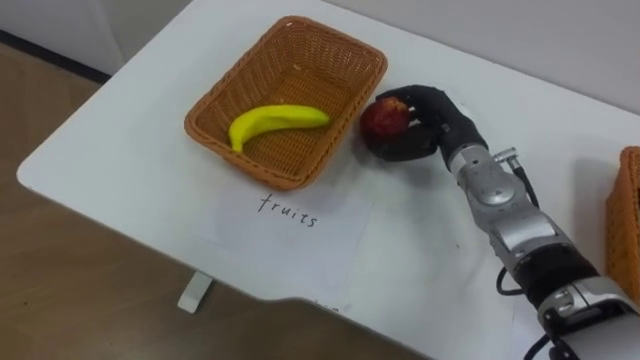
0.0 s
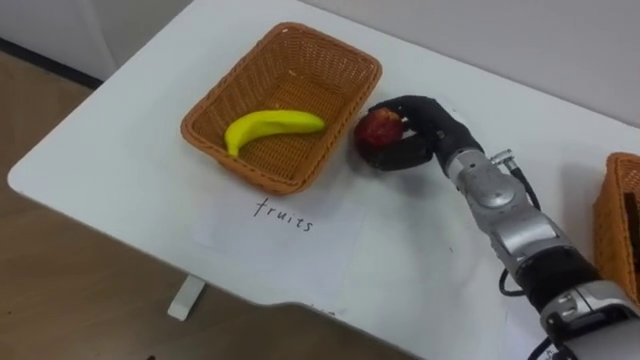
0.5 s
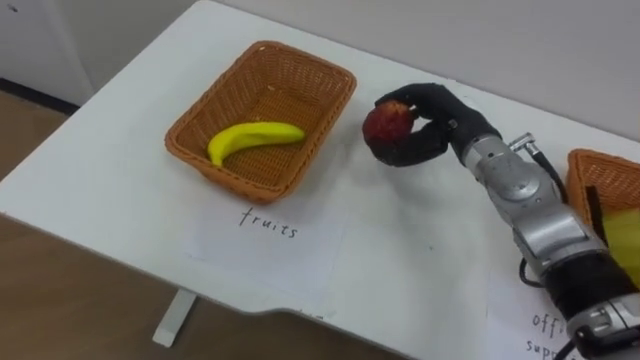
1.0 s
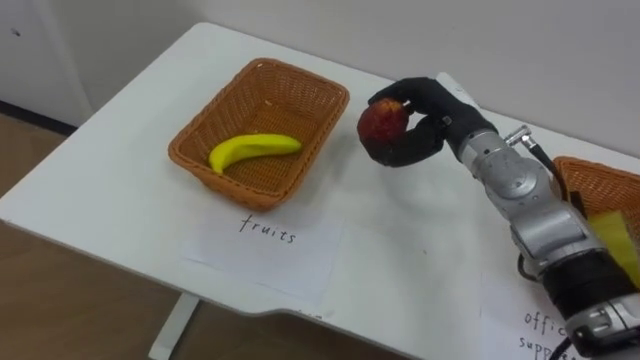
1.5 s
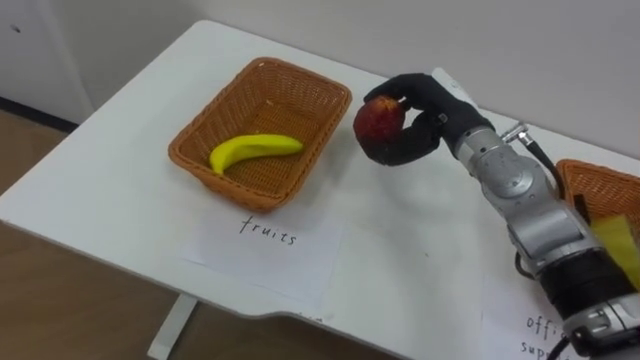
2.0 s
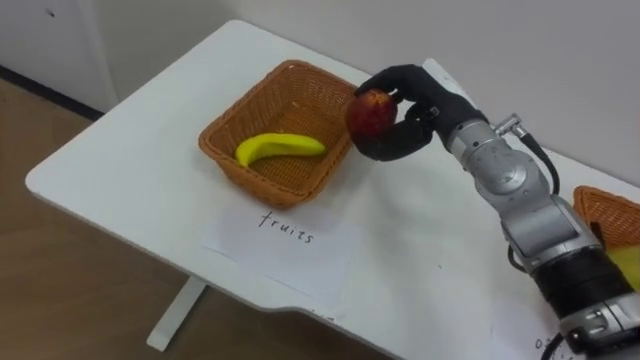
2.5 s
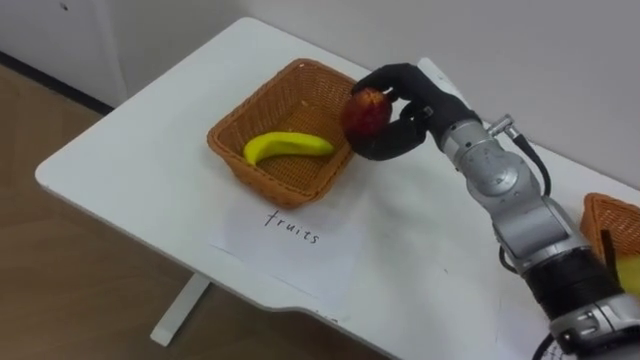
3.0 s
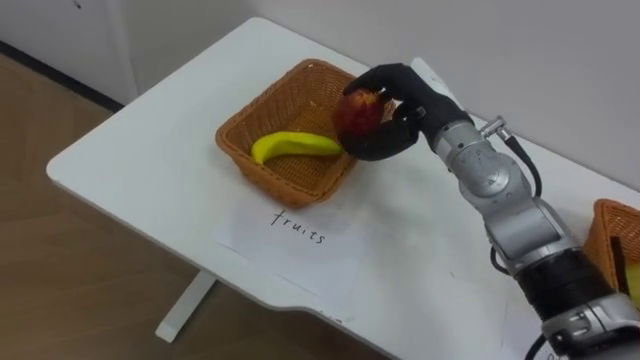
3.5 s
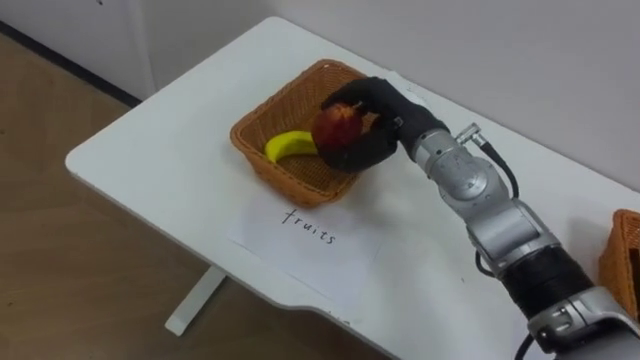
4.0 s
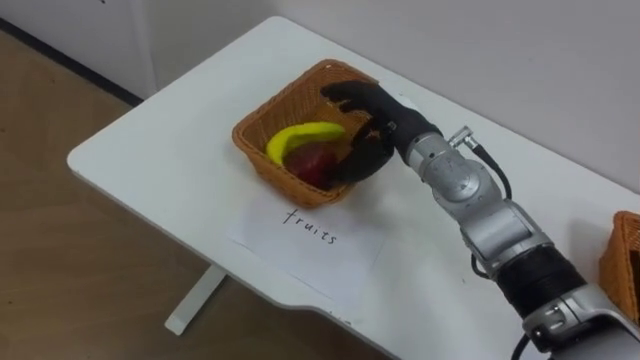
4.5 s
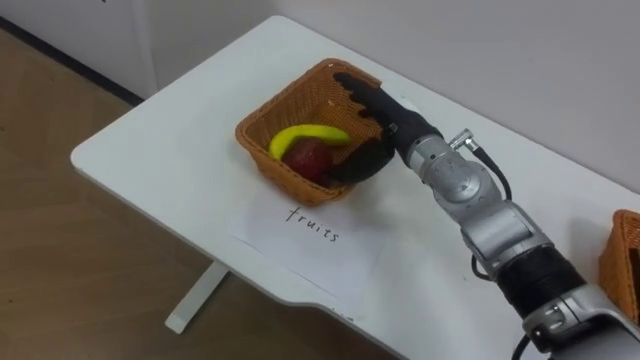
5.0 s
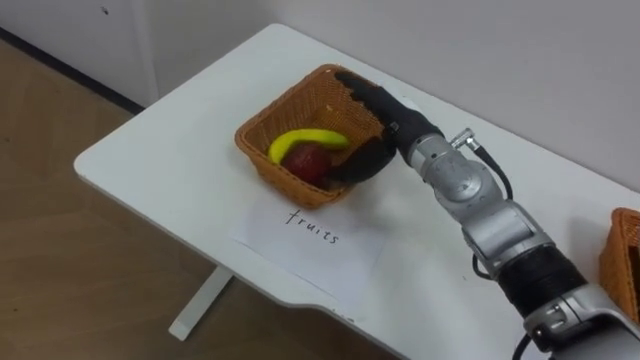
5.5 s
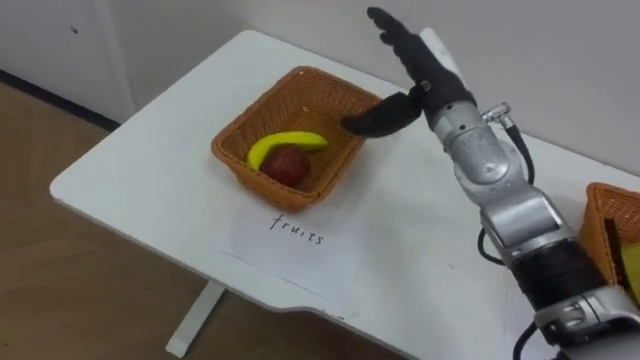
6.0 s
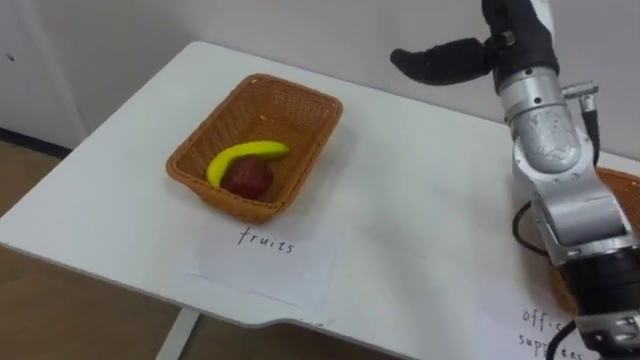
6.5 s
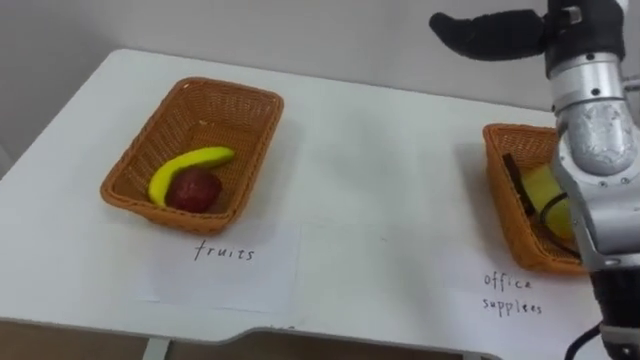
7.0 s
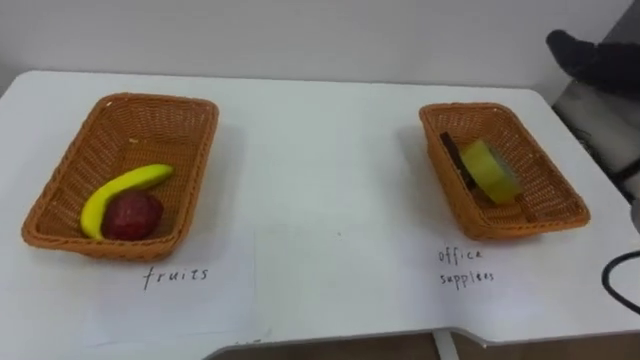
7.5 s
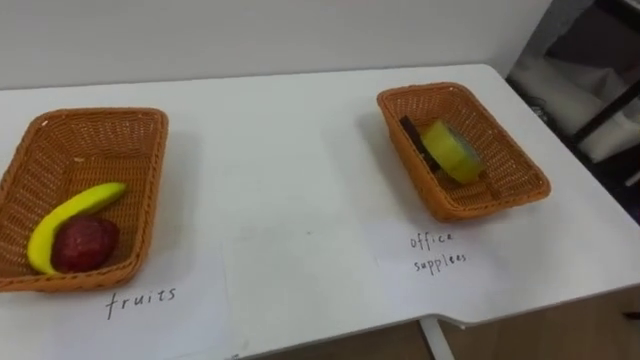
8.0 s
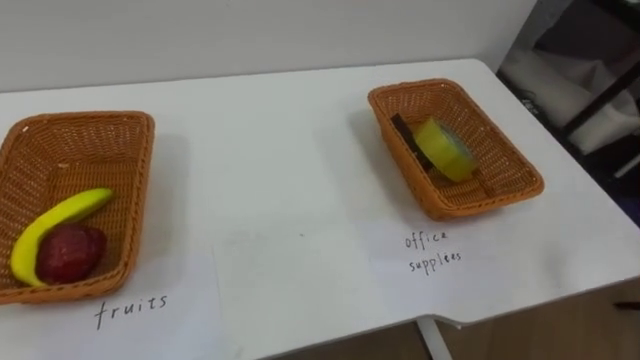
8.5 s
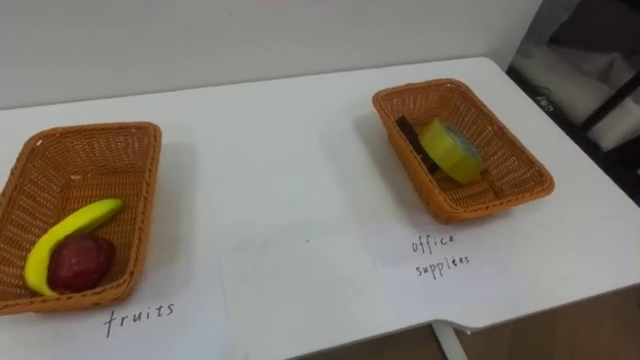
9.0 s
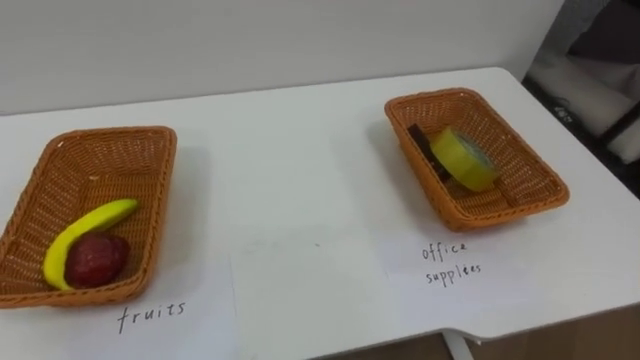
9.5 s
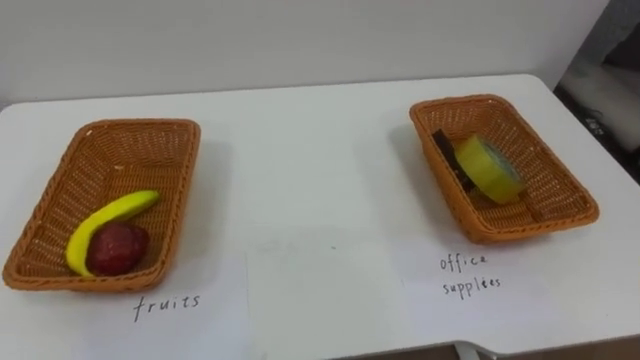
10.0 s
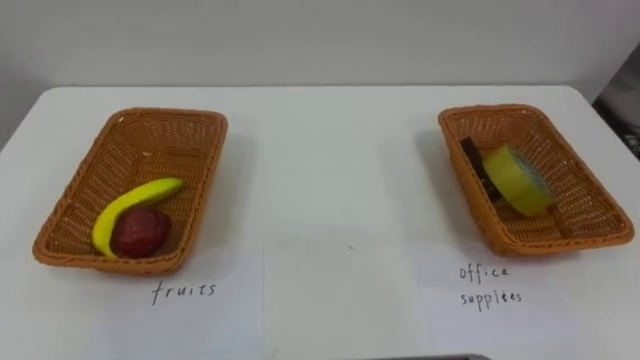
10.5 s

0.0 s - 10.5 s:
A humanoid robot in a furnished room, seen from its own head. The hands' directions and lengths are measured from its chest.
Task of the whole recording: Separate the items on the table and place them into the two baskets.
2.0 s - 4.0 s: The right hand goes some 5 cm to the left.
4.0 s - 6.5 s: The right hand moves upward and to the right, about 15 cm, and opens up.

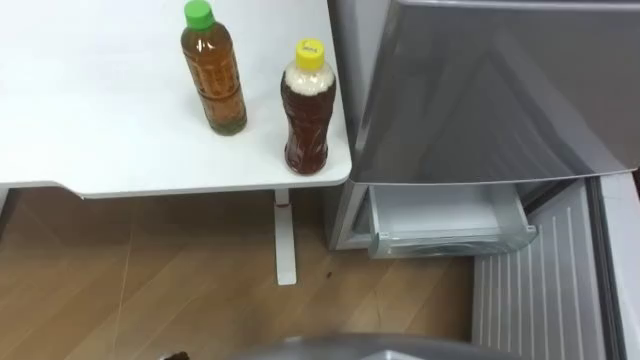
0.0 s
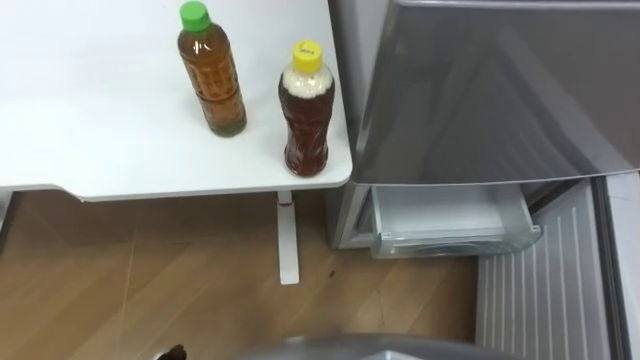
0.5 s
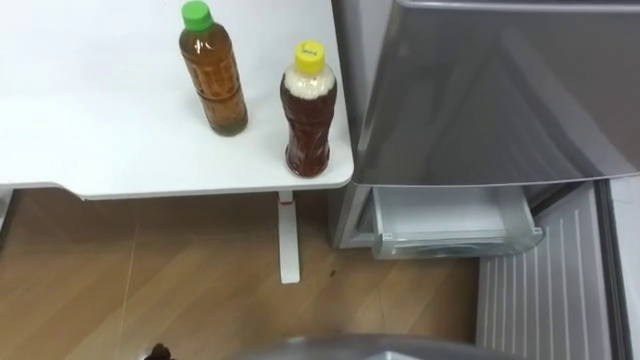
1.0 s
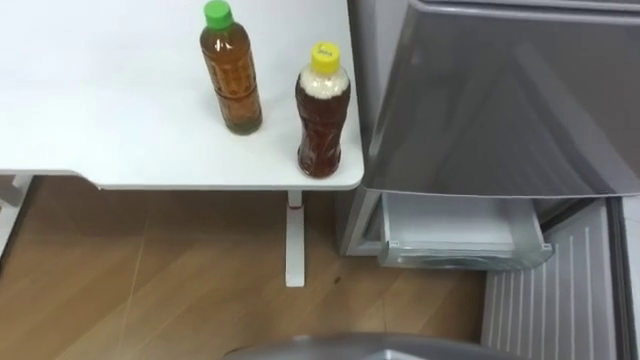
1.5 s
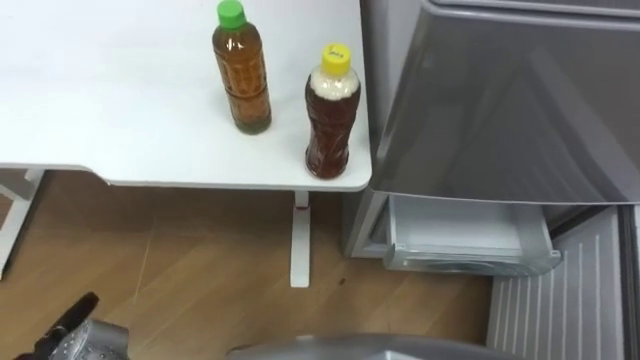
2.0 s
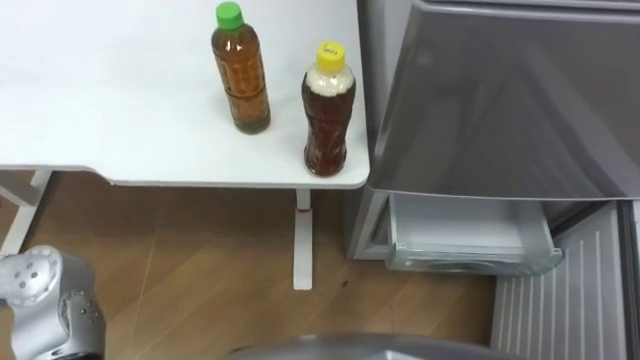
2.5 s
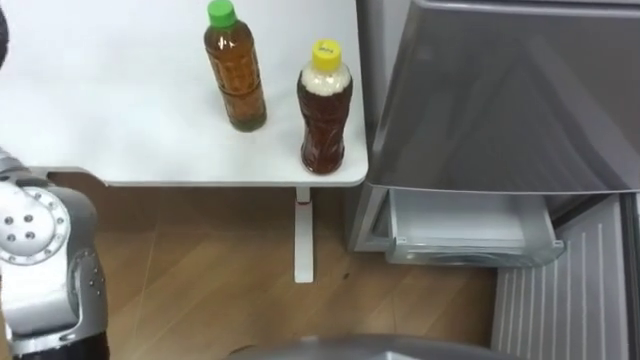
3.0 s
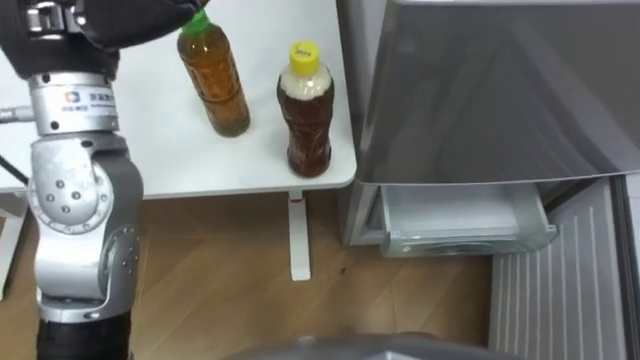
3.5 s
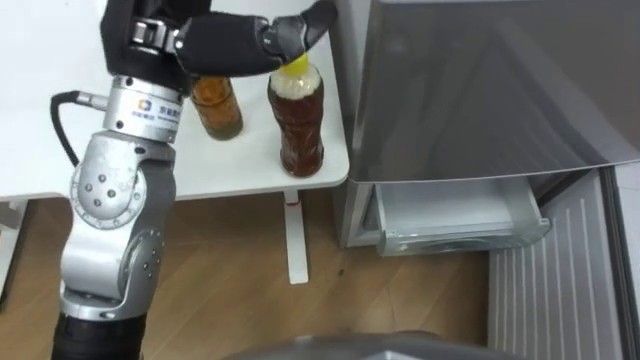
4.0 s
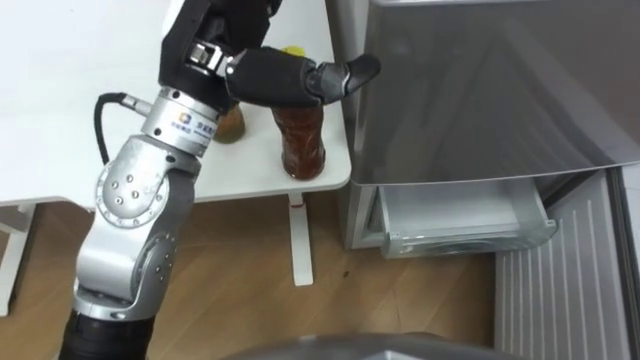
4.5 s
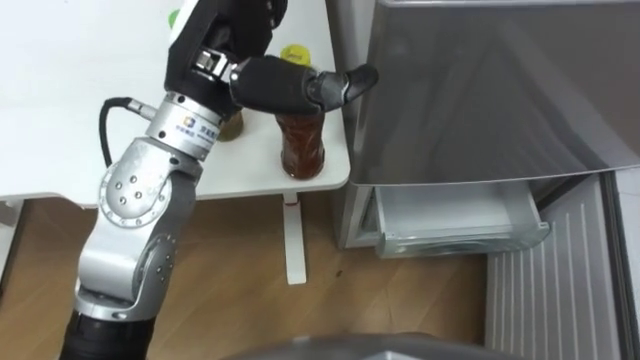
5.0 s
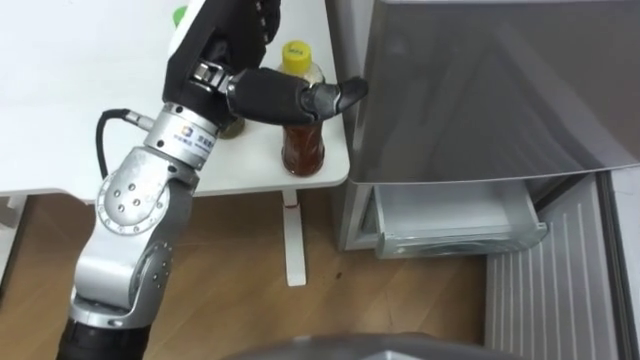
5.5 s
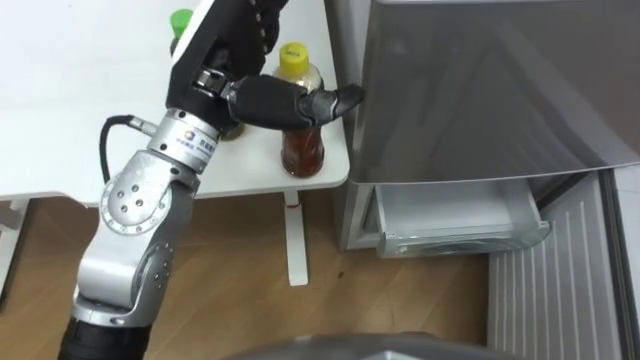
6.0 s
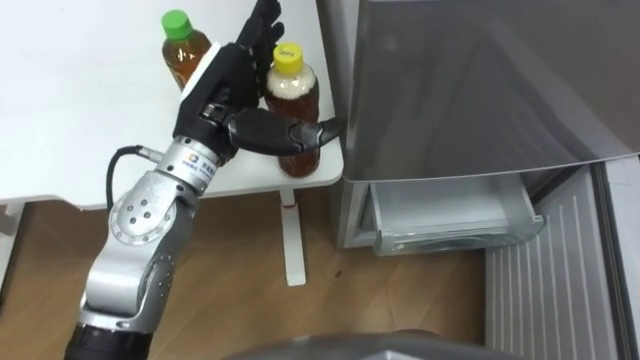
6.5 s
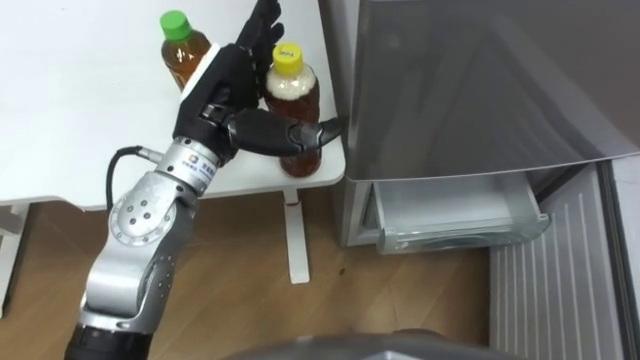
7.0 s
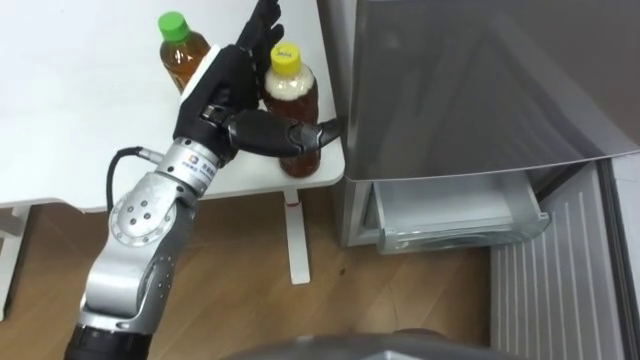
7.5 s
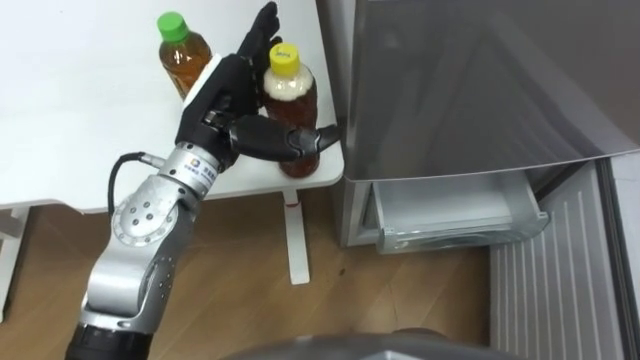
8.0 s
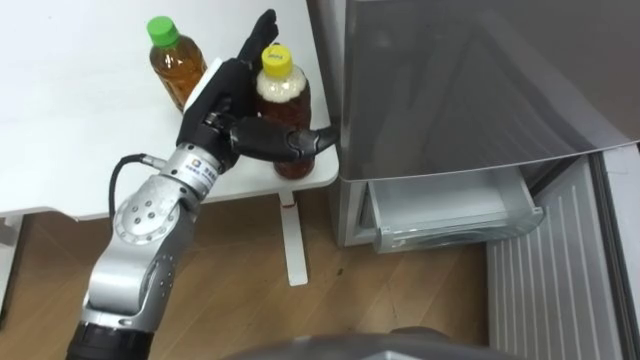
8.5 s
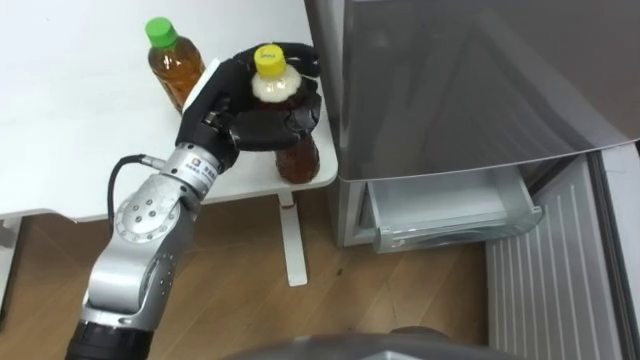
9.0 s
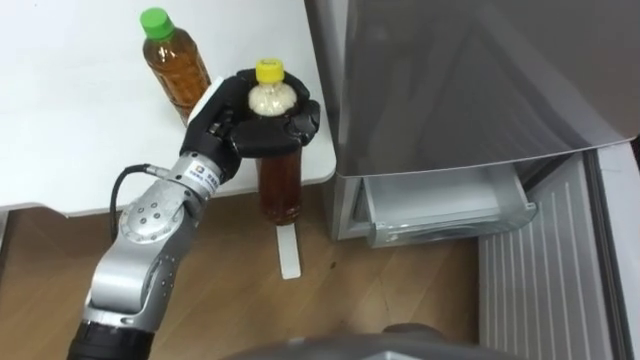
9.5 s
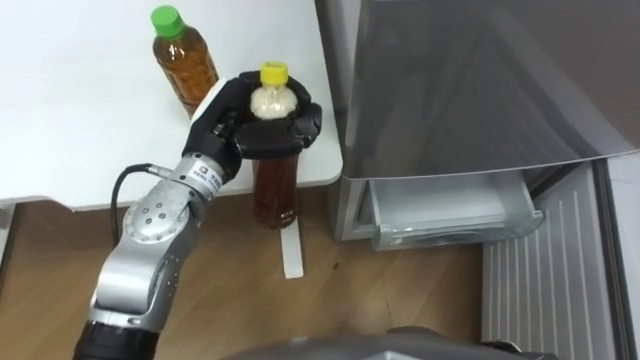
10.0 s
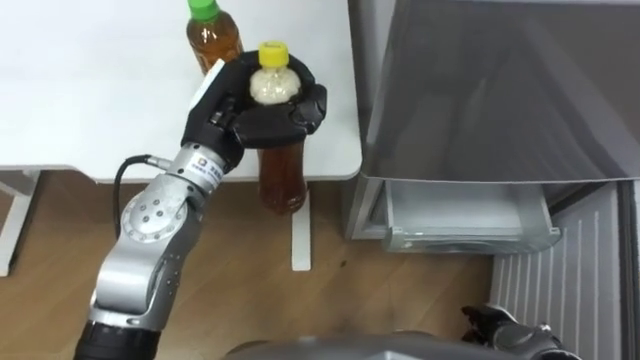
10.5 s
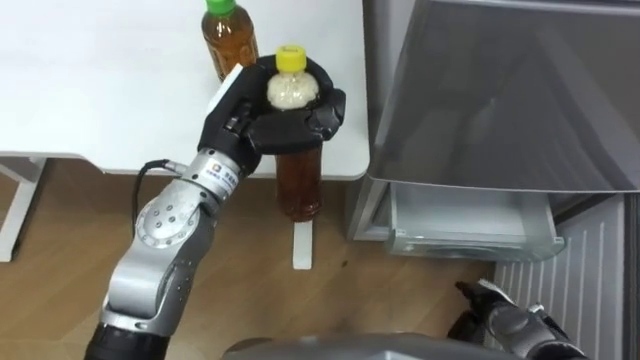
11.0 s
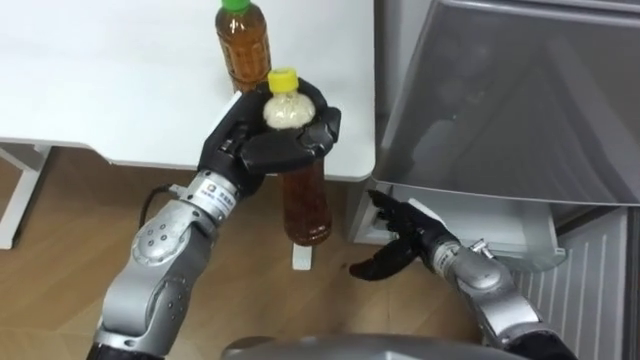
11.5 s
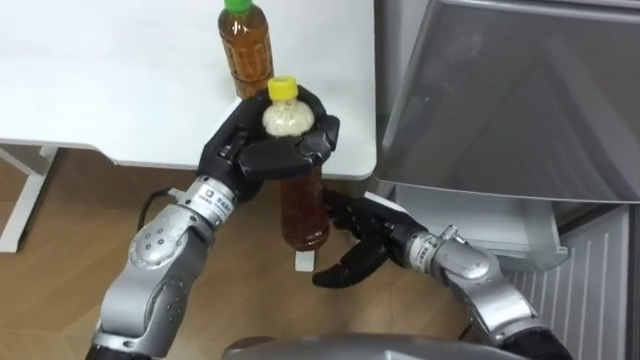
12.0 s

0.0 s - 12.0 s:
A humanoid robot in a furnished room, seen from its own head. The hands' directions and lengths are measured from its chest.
Task of the whole recording: Place the drink on the table on the bottom shelf of the refrigerator, then close the drawer and the refrigerator door.
4.0 s - 6.0 s: The left hand moves downward, some 5 cm.
6.0 s - 8.0 s: The left hand travels downward by approximately 5 cm.
8.0 s - 10.0 s: The left hand closes up.
